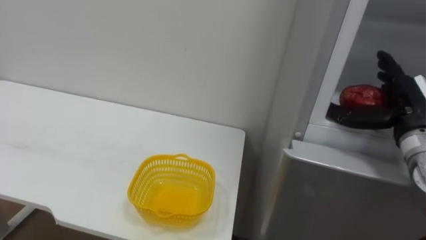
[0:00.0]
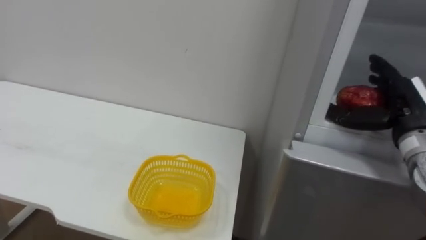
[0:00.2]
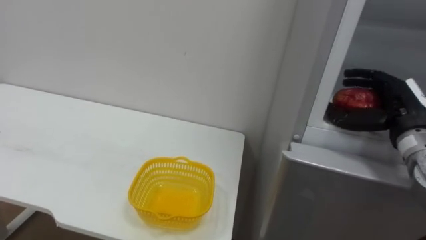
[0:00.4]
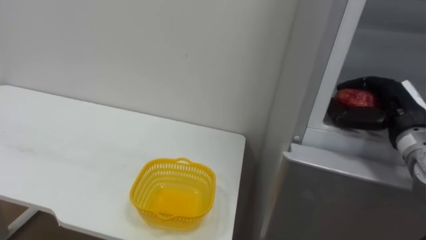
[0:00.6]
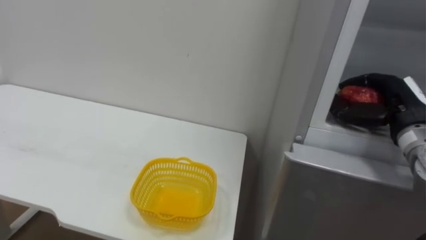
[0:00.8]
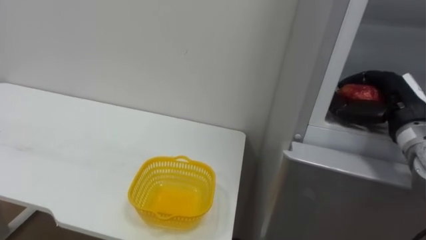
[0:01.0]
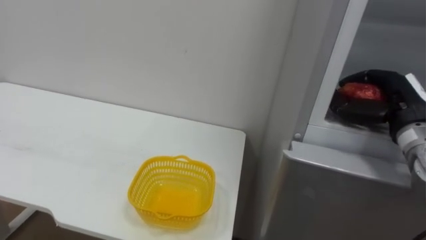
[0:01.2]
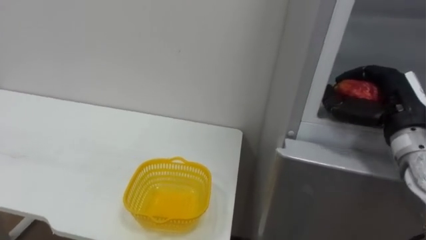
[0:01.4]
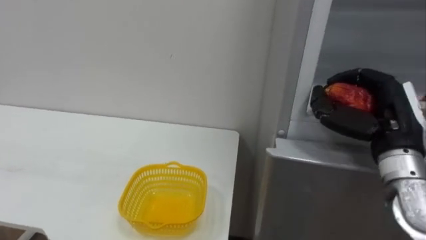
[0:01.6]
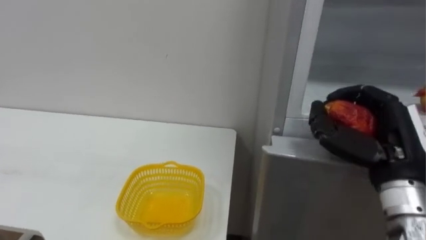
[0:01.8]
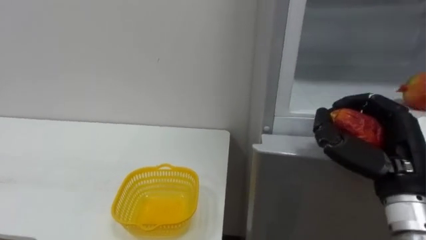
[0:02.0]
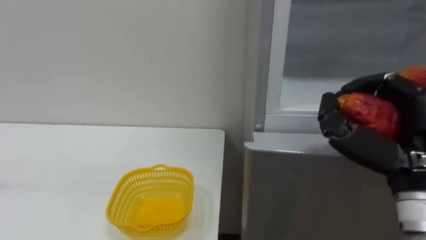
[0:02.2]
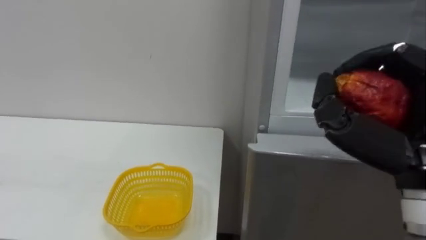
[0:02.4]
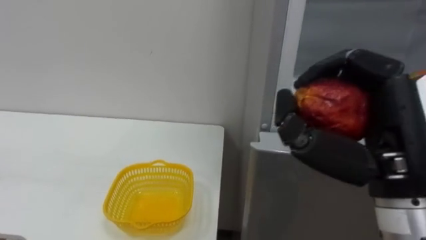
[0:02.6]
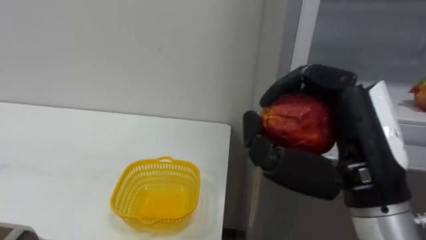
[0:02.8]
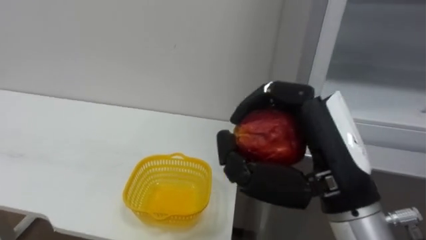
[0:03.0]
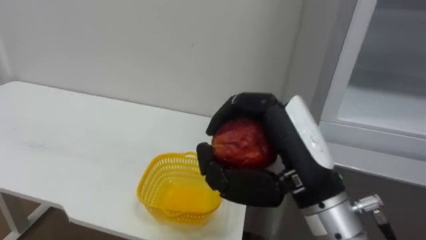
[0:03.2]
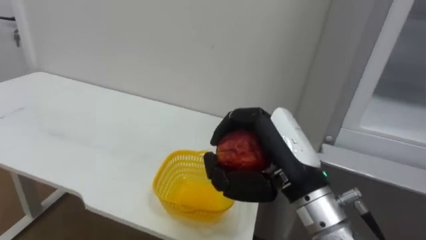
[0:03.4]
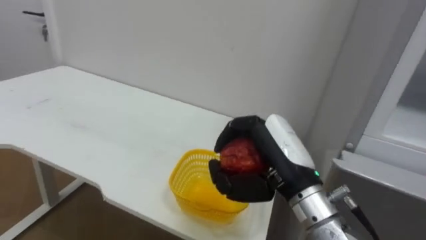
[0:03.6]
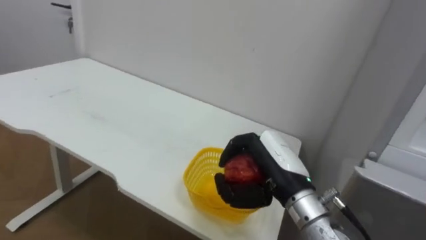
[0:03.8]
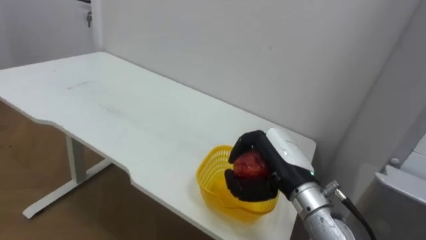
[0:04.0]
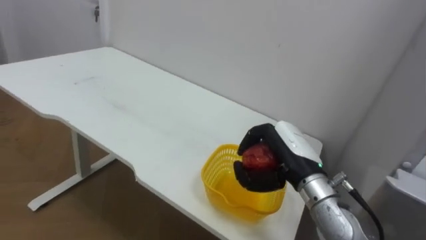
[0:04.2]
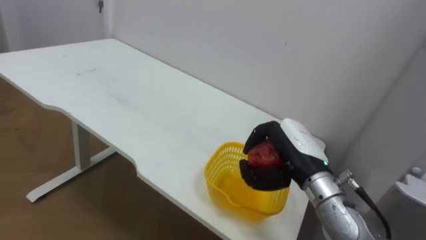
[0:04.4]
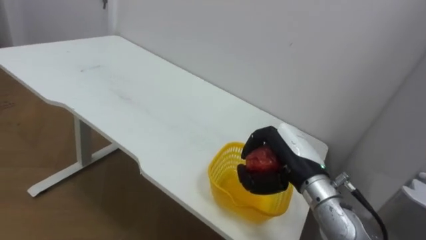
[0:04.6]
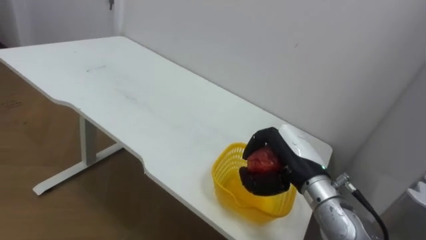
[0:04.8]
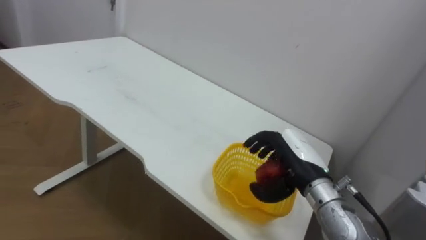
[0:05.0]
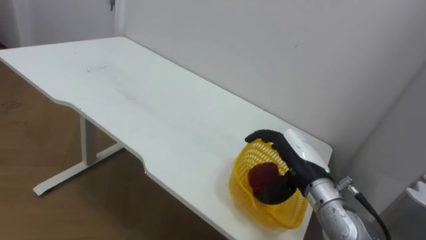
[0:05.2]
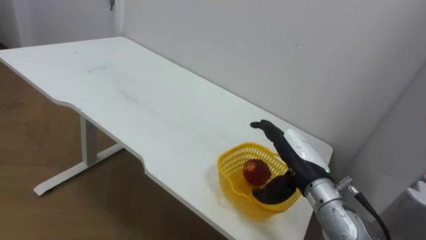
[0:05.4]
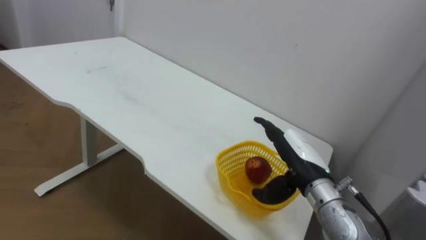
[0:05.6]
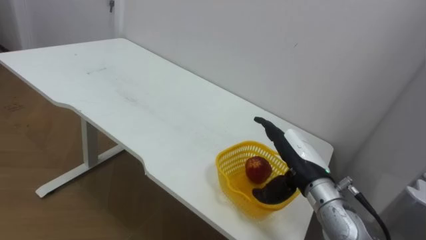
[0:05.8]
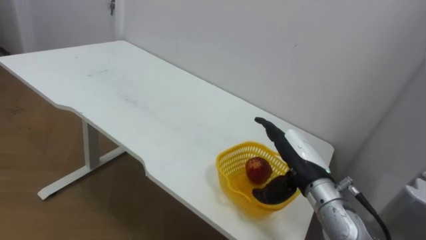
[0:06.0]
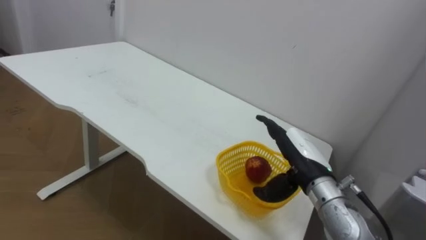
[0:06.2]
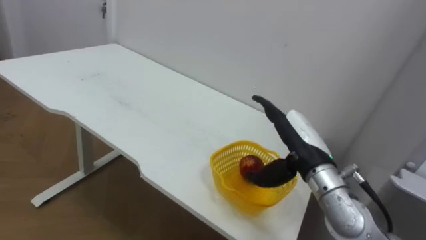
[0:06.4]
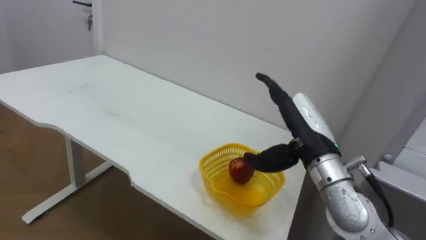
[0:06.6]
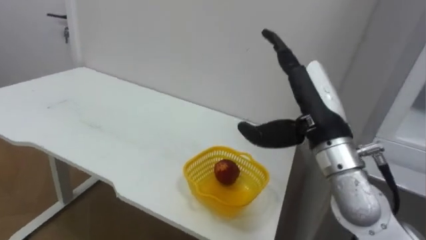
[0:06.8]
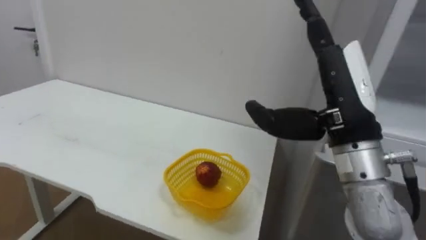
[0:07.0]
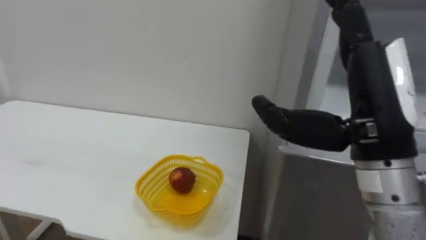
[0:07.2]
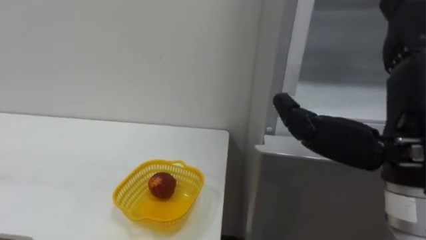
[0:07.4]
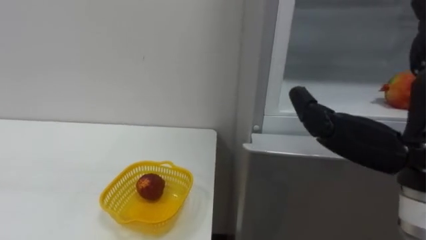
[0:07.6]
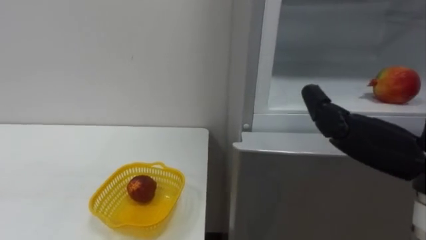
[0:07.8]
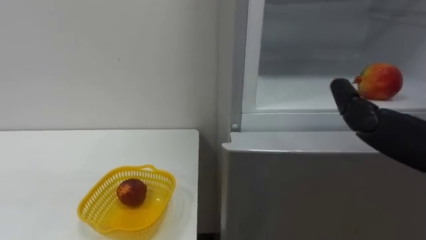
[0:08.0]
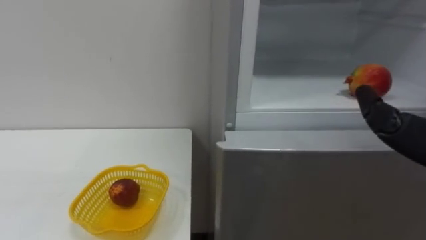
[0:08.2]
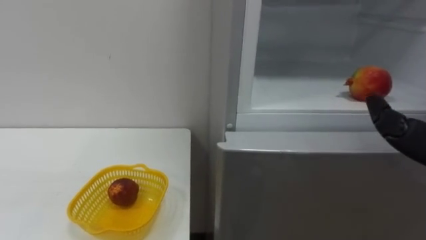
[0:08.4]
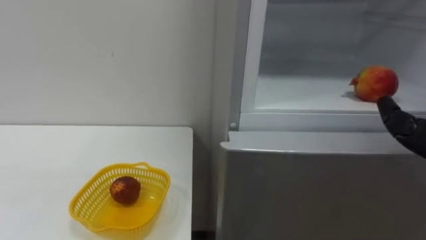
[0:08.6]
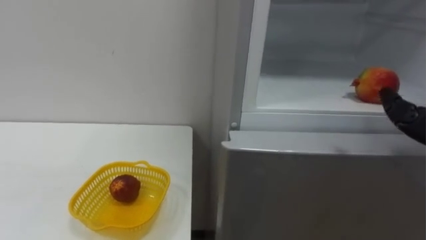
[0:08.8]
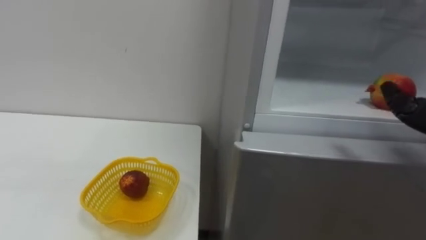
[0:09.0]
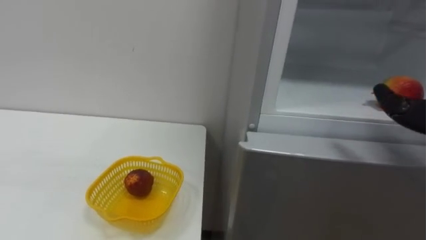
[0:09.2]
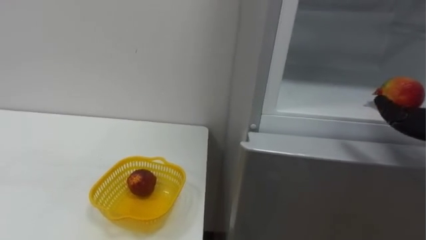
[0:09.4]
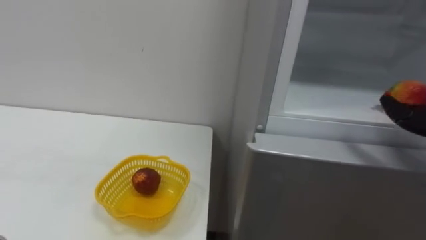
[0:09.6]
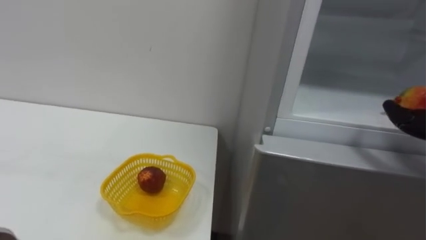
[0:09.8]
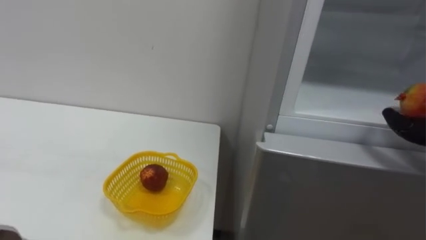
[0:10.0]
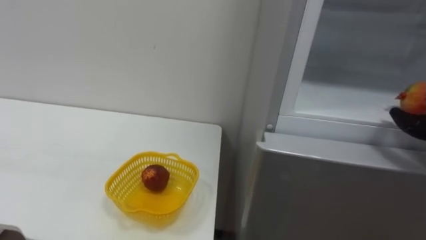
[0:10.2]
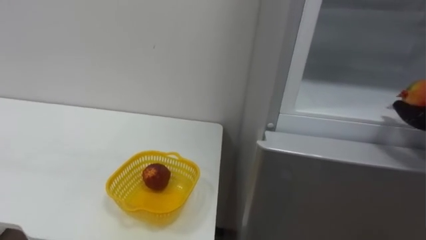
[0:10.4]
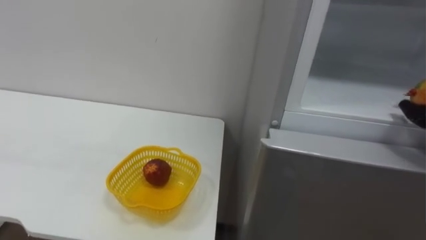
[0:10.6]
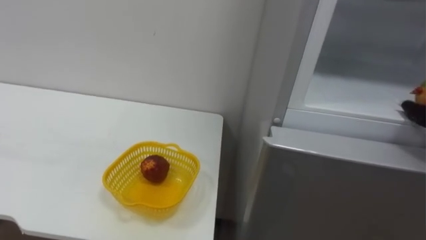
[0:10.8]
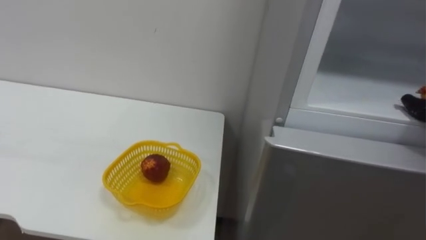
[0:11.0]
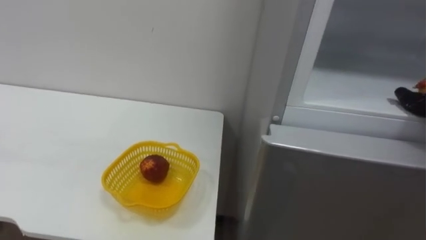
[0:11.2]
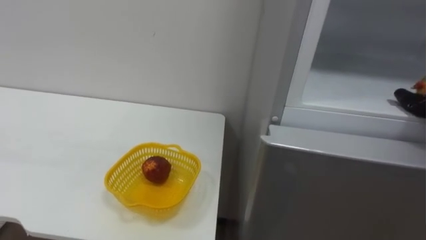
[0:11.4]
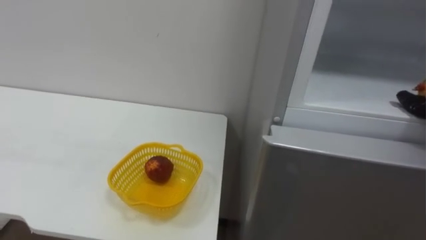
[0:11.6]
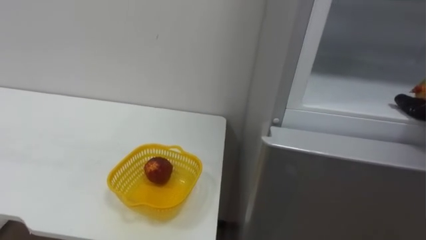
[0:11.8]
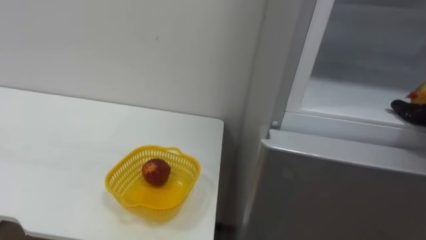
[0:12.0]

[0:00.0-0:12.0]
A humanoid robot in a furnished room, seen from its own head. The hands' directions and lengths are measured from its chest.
Task of the whole recording: Open the refrigerator door, take out the apple and the pomegranate, place them in the fruit basket on the left, and close the refrigerator door.
0.0 to 1.6 s: The right hand moves roughly 5 cm, and closes its fingers.
1.6 to 3.0 s: The right hand moves to the left and backward, some 15 cm.
3.0 to 4.4 s: The right hand shifts some 15 cm forward and downward.
4.4 to 6.0 s: The right hand opens up.
6.0 to 7.6 s: The right hand moves upward and backward, about 25 cm.

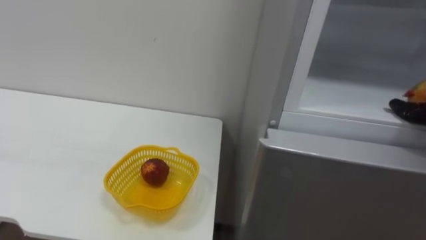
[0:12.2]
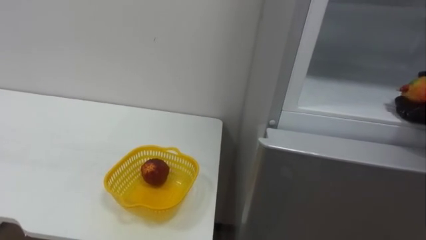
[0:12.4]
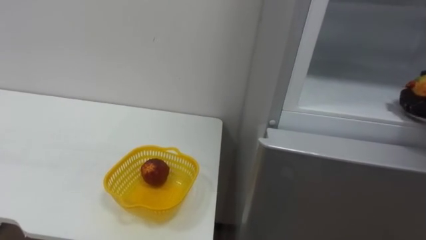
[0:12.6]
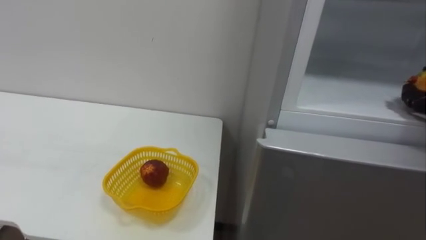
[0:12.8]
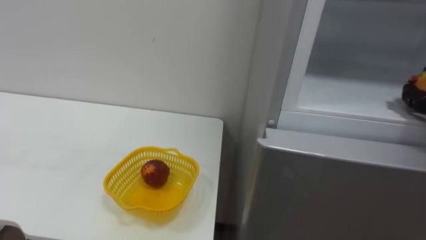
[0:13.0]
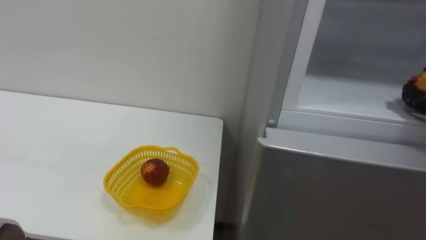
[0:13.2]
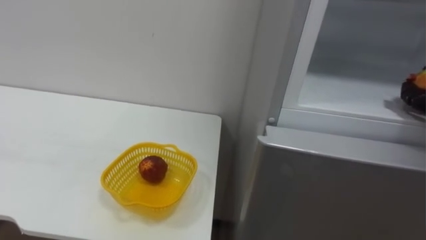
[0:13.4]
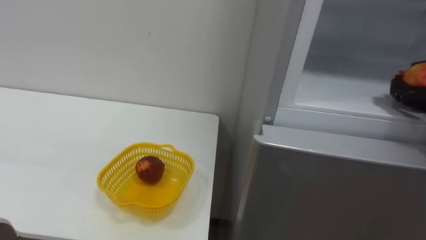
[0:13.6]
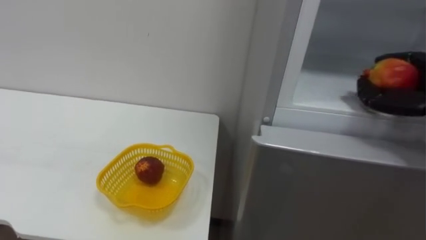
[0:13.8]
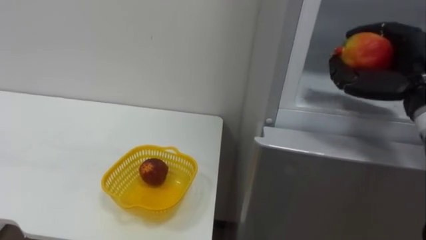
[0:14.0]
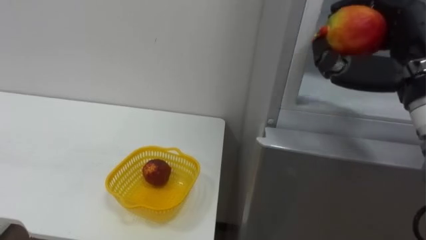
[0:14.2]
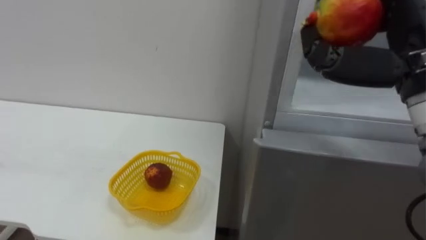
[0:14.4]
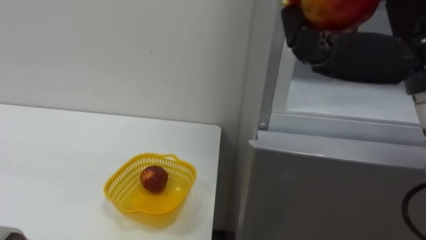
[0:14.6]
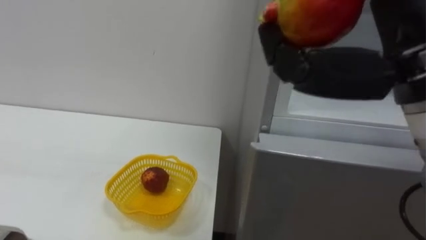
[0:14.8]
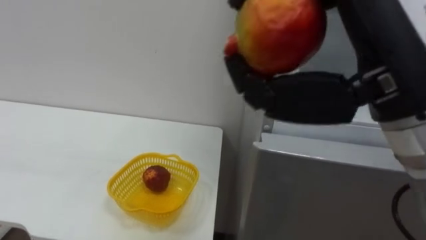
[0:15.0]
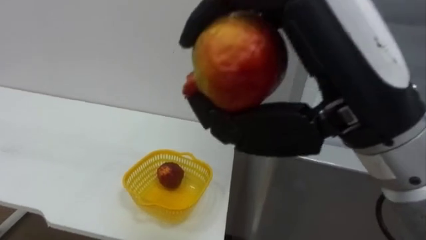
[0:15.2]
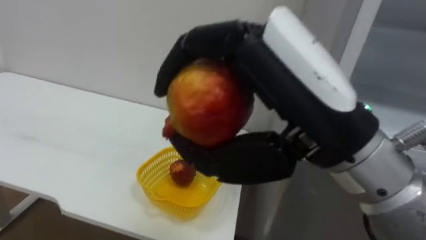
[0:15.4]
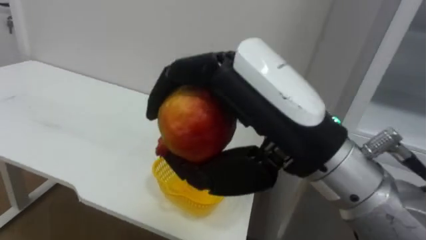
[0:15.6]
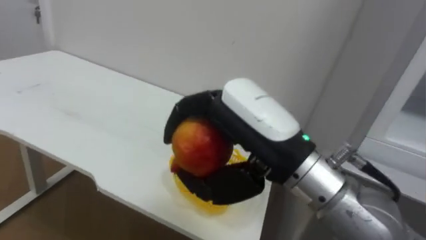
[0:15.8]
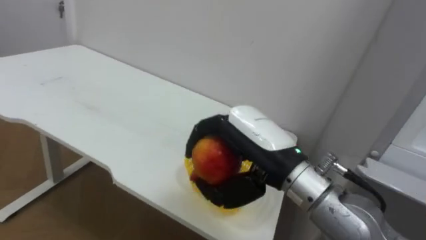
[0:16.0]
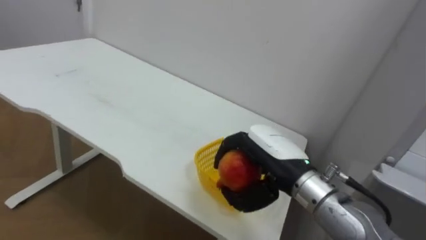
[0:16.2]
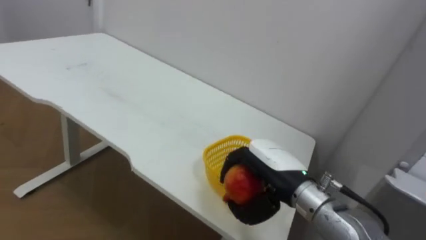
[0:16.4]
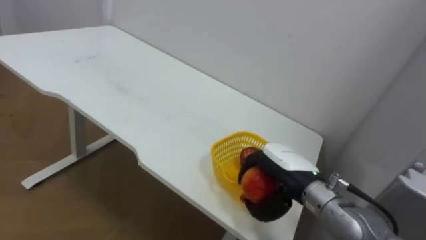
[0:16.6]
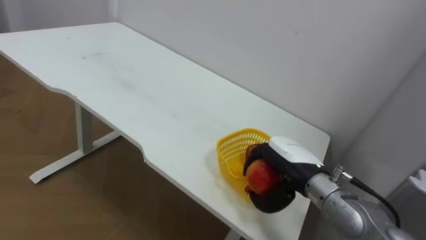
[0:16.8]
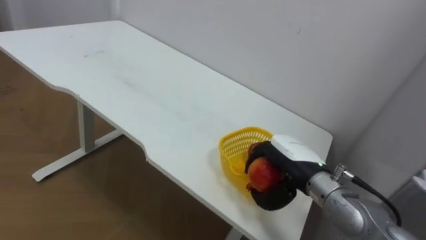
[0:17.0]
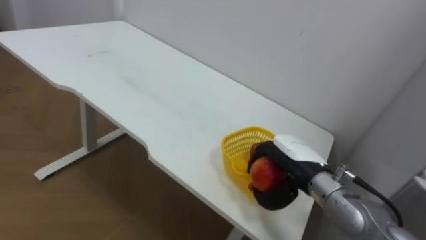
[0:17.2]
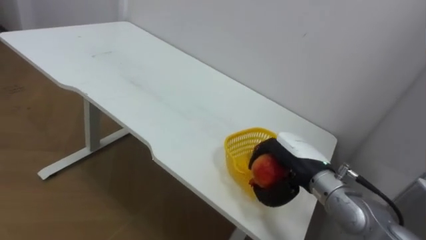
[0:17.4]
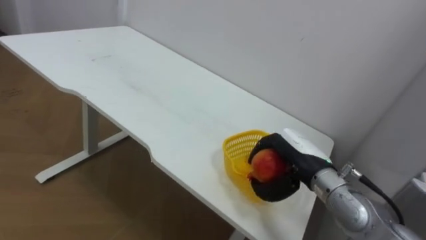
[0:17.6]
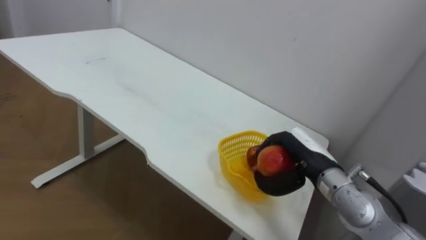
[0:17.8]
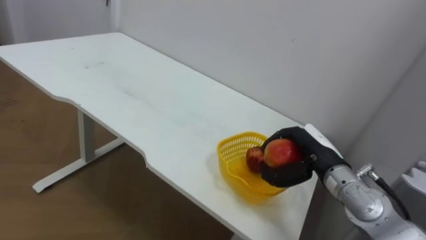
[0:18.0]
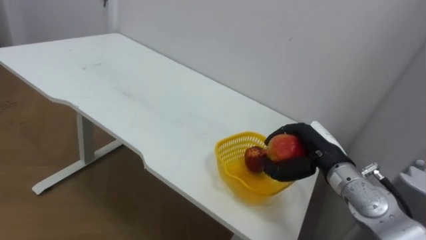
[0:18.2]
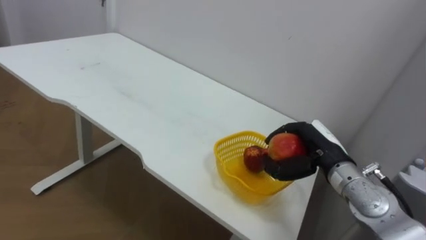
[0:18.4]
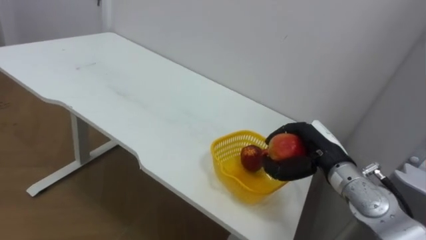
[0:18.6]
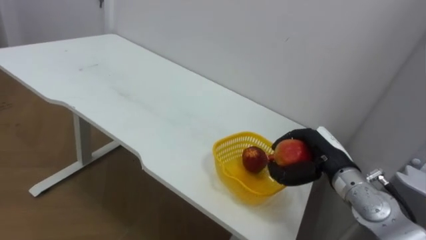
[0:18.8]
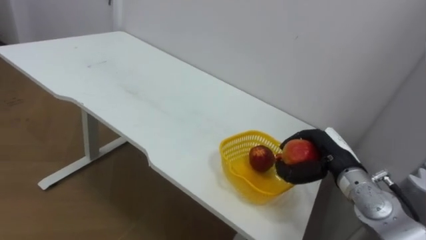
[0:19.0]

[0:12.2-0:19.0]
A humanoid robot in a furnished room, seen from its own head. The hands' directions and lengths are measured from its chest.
Task of the whole recording: Open the refrigerator door, take out the apple and the pomegranate, place them in the fruit basket on the left, and close the refrigerator door.
15.0 to 16.2 s: The right hand moves downward and forward, some 20 cm.
16.2 to 17.6 s: The right hand moves to the right, forward and downward, about 10 cm.
17.6 to 19.0 s: The right hand shifts about 5 cm to the right.
